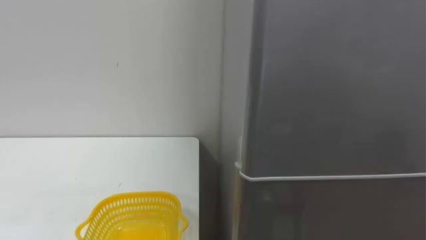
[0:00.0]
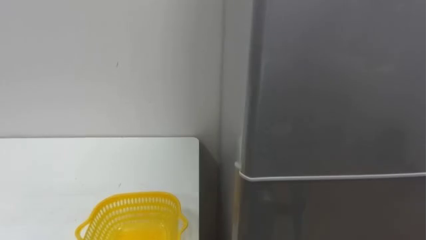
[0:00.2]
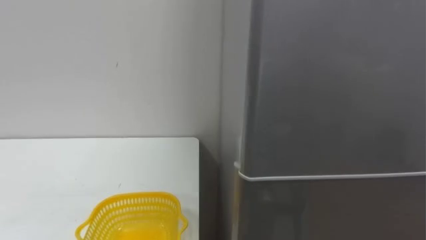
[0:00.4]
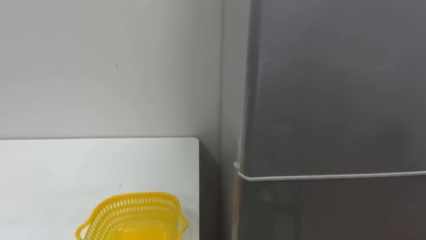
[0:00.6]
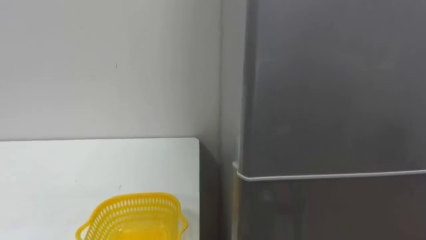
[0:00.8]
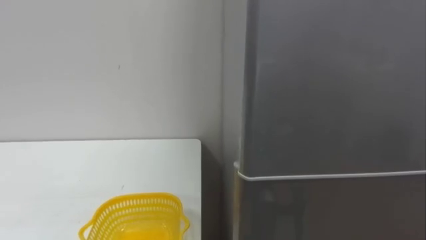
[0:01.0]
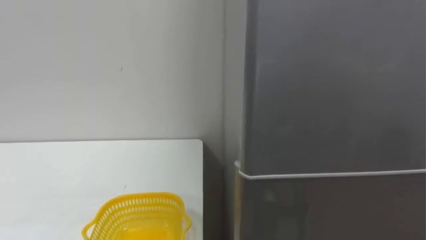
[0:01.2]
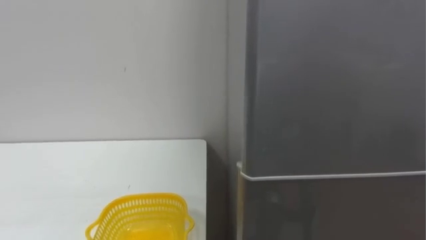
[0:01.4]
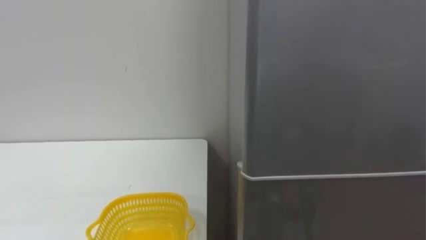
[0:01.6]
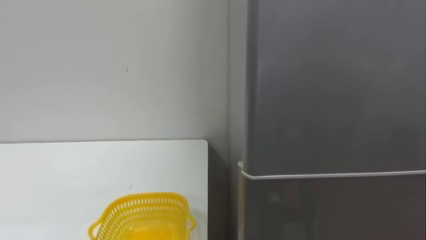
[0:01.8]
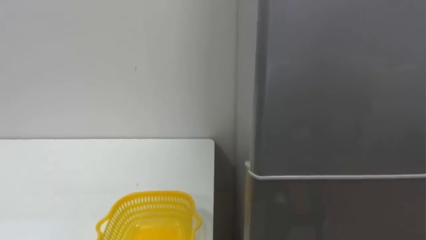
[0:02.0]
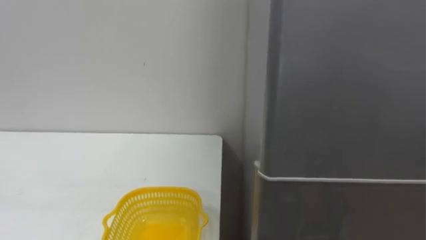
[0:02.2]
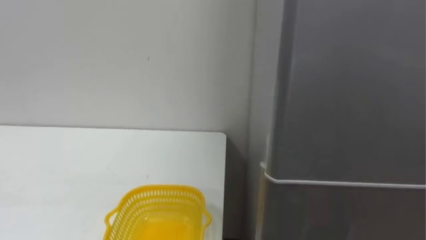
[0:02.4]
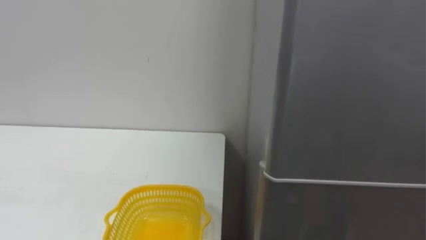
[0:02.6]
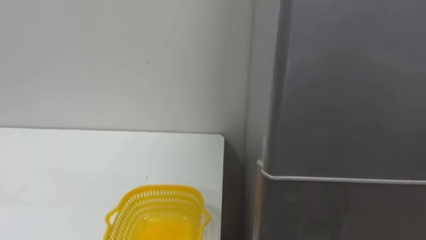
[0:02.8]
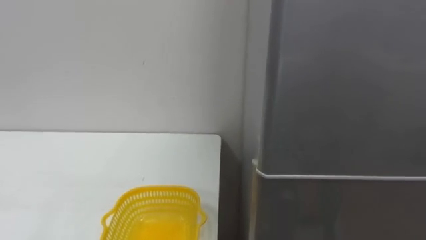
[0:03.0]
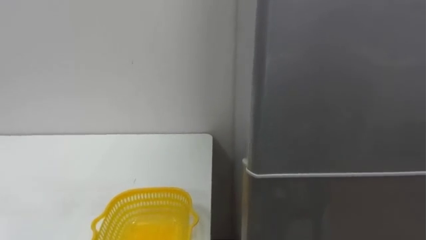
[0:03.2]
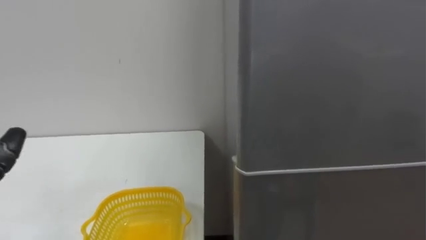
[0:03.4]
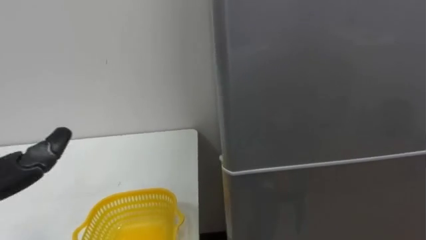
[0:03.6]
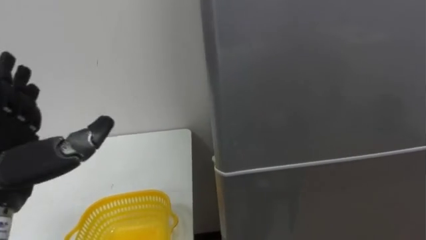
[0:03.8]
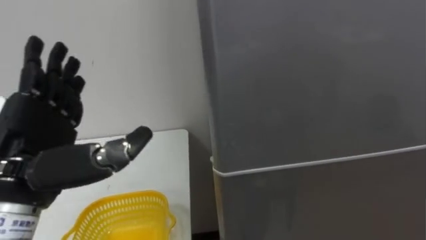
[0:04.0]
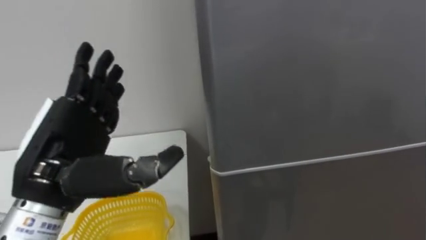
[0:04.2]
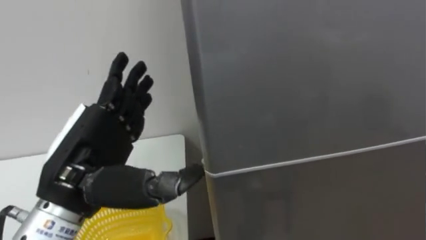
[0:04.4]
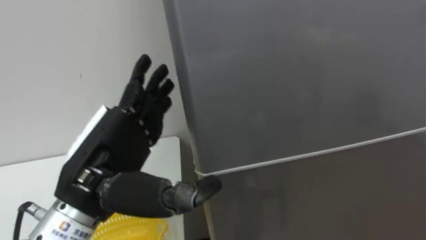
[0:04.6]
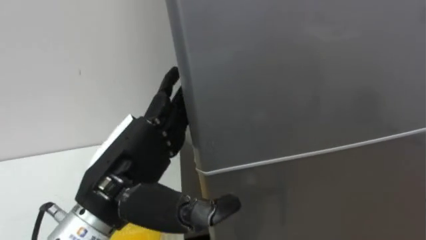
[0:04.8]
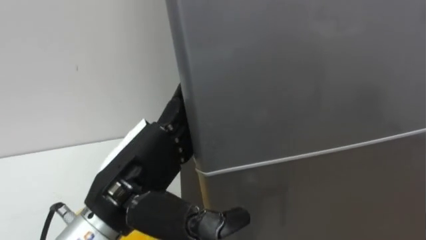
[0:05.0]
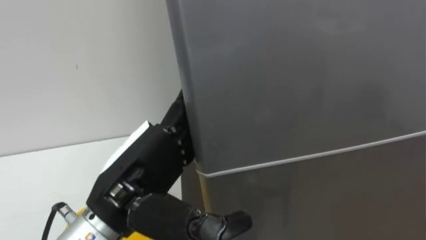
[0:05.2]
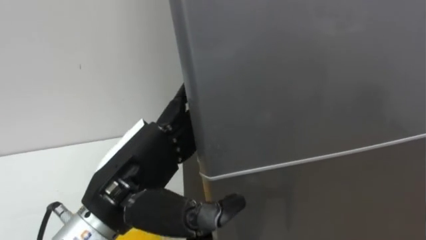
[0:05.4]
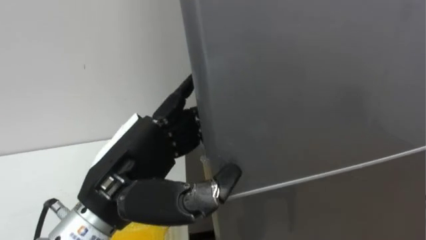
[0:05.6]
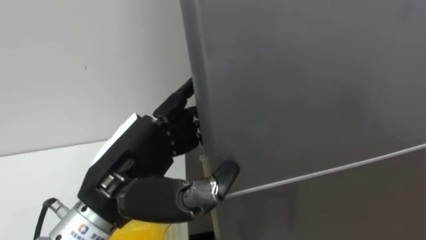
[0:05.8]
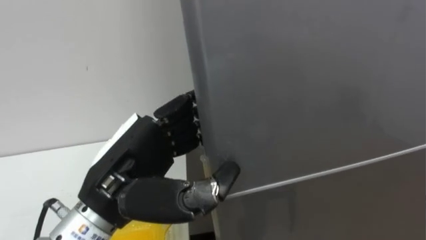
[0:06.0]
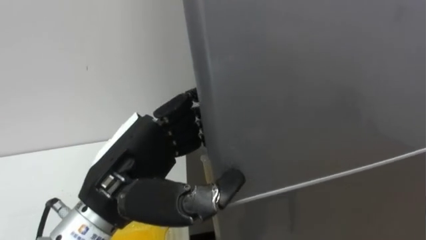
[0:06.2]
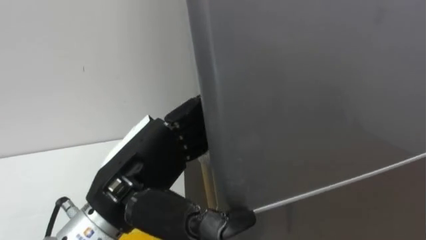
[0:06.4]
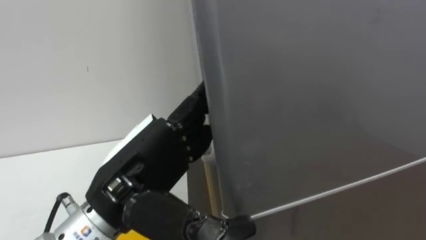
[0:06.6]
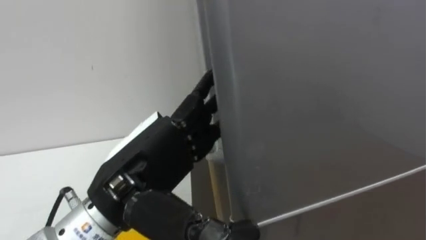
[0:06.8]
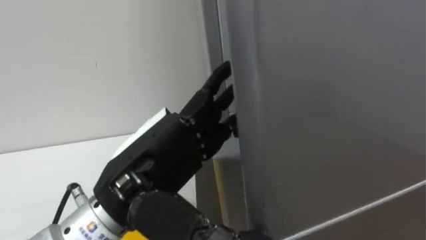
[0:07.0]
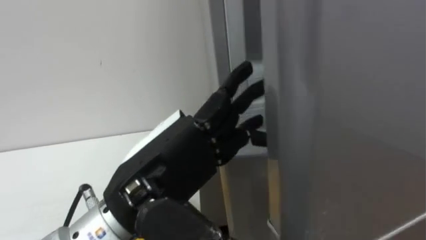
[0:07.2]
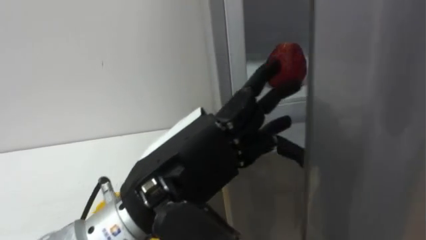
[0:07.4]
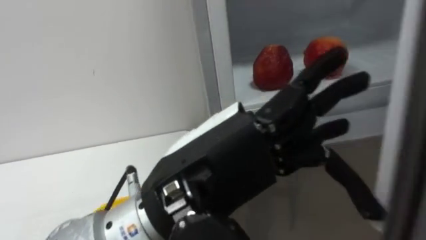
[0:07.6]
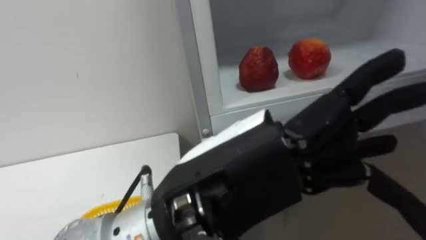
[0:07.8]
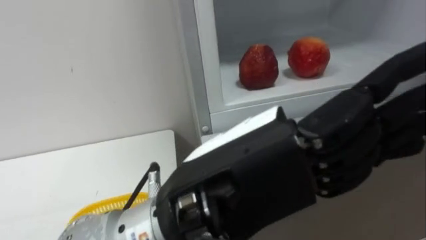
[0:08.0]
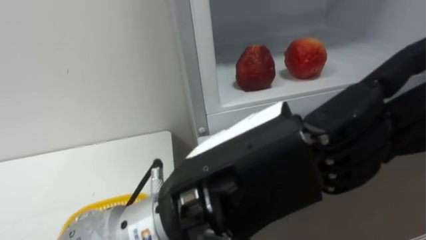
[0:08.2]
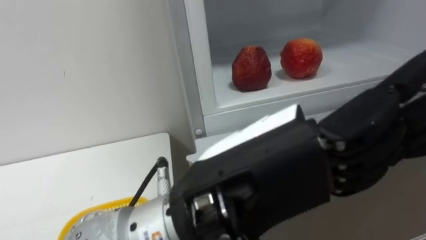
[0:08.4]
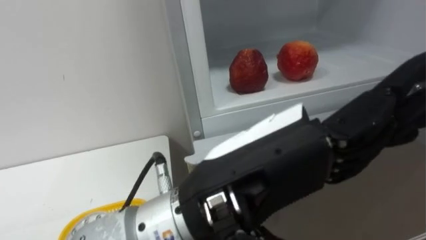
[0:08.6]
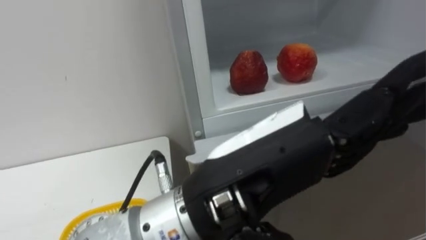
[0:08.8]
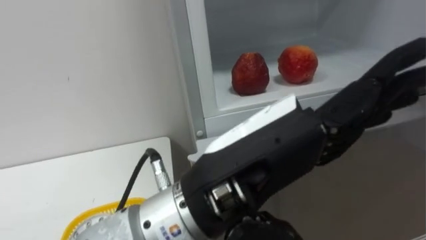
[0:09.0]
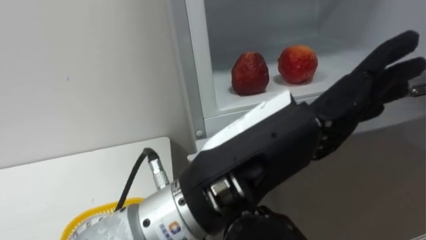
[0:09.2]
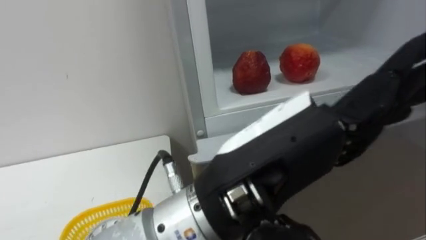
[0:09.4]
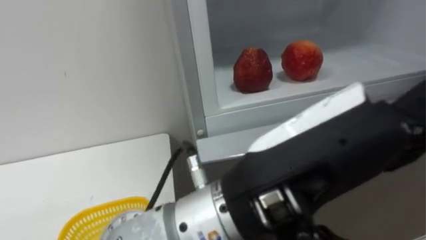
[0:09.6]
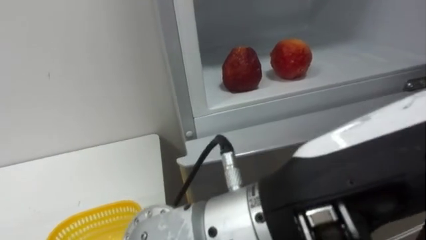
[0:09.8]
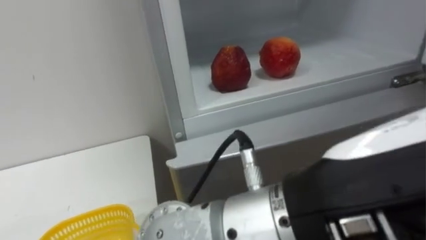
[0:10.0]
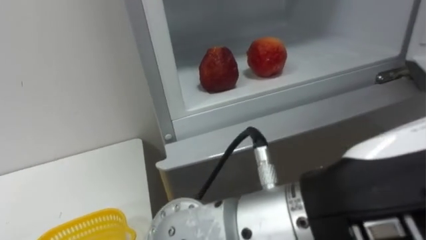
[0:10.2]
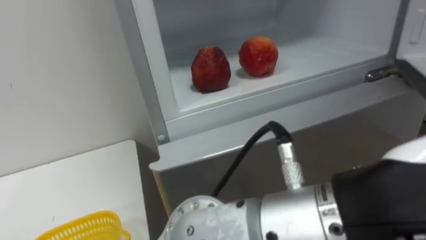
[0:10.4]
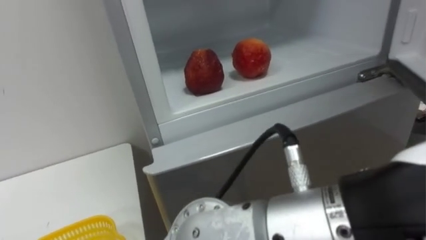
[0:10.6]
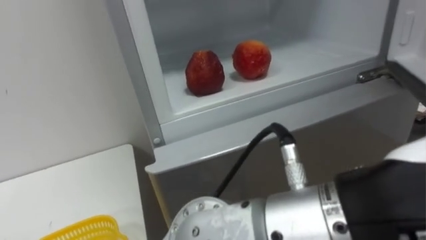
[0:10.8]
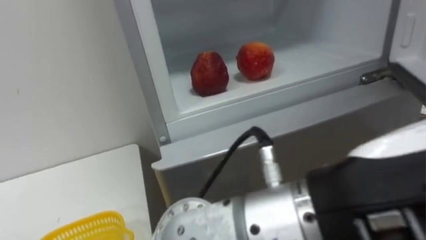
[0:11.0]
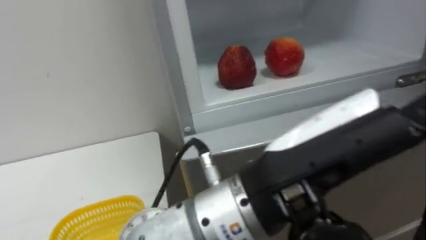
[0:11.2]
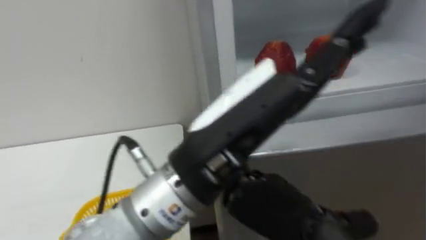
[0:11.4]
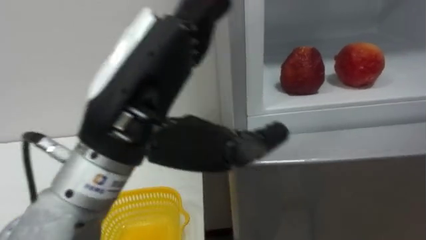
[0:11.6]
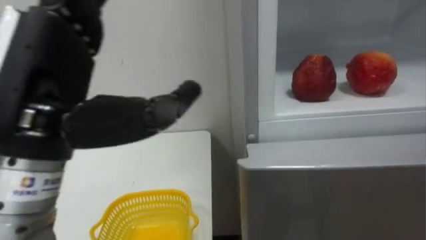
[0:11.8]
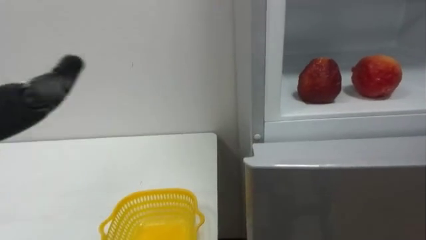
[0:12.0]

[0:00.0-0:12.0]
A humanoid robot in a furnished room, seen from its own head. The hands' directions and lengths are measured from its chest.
Task of the whole recording: Open the refrigerator door, take out the apple and the pomegranate, place them in the fruit basket on the left, and close the refrigerator door.
0:04.4 to 0:06.0: The left hand changes place by roughly 5 cm, and closes.
0:06.0 to 0:07.6: The left hand shifts about 10 cm to the right and backward, and opens its fingers.
0:09.0 to 0:10.4: The left hand goes roughly 10 cm backward, to the right and upward.

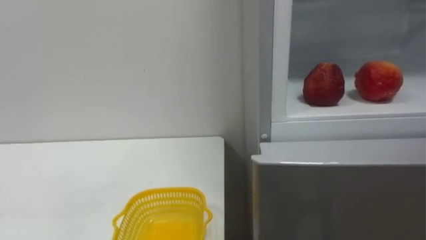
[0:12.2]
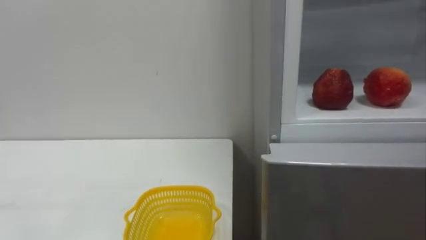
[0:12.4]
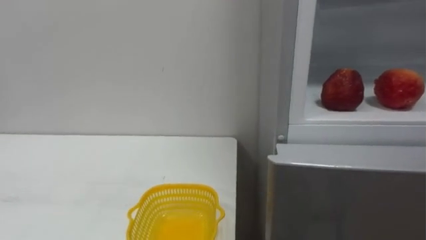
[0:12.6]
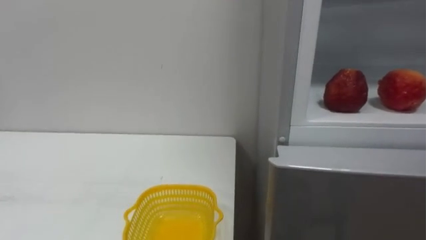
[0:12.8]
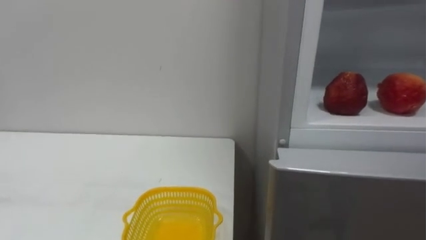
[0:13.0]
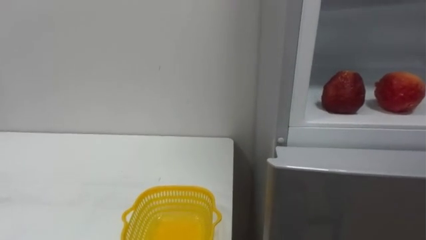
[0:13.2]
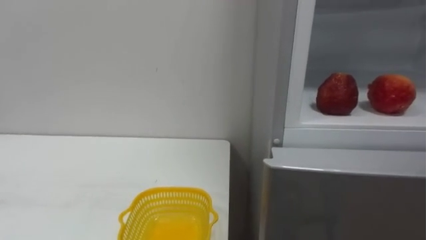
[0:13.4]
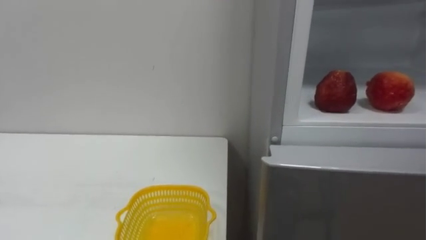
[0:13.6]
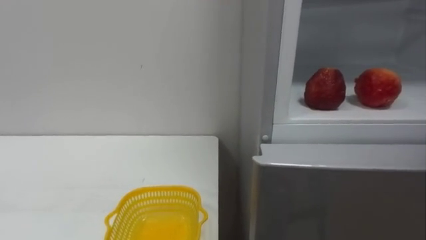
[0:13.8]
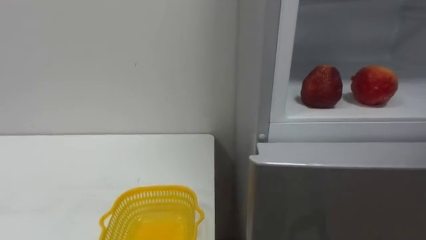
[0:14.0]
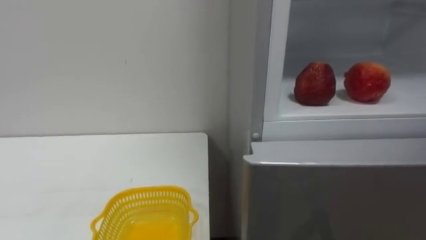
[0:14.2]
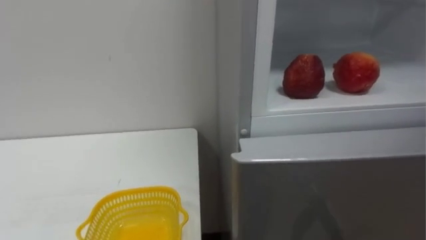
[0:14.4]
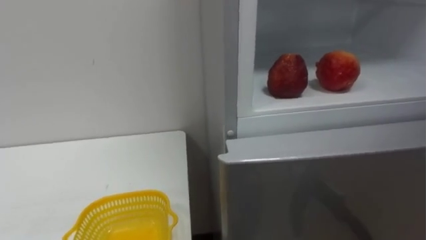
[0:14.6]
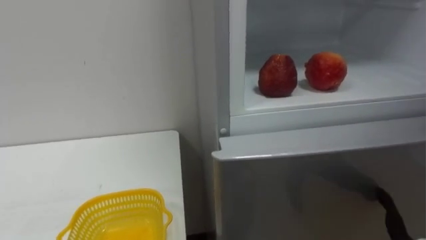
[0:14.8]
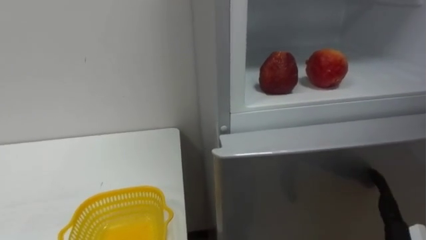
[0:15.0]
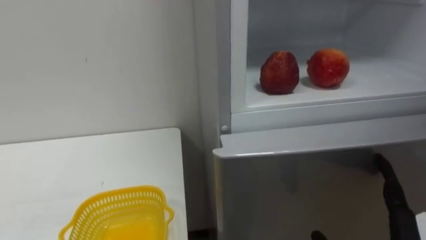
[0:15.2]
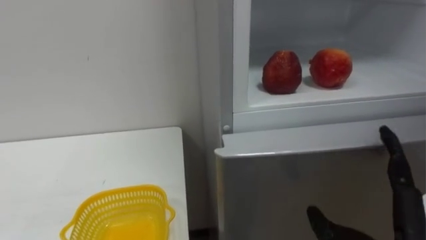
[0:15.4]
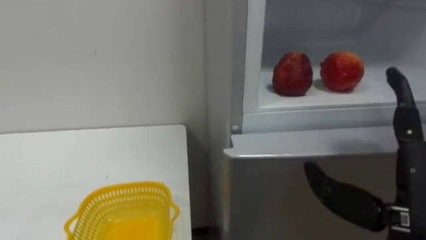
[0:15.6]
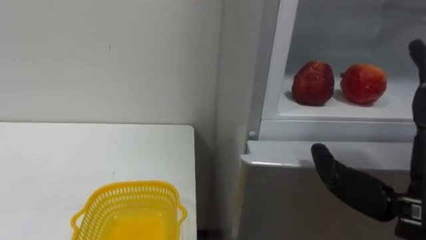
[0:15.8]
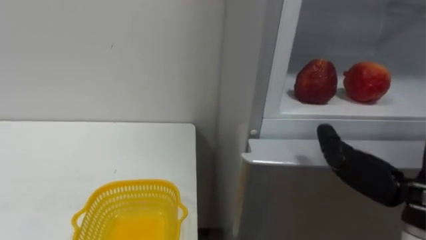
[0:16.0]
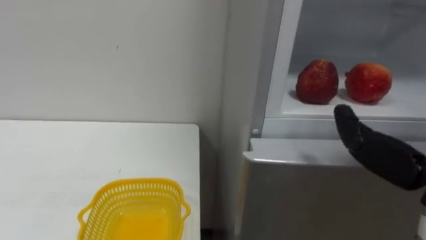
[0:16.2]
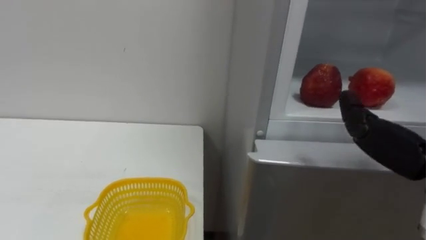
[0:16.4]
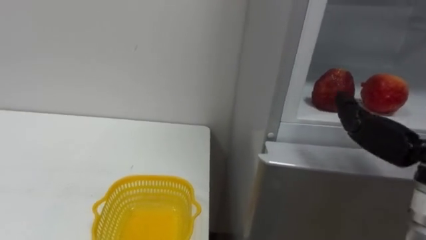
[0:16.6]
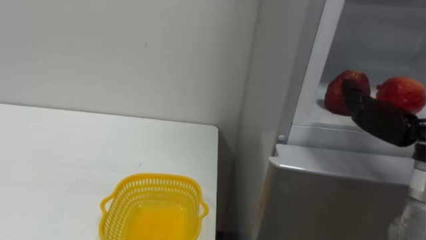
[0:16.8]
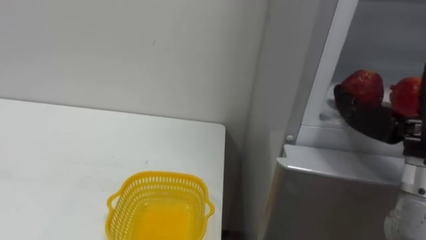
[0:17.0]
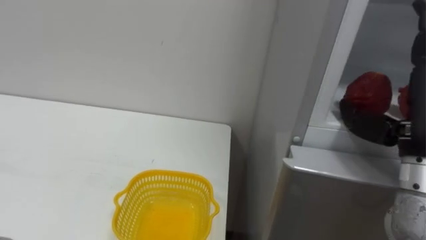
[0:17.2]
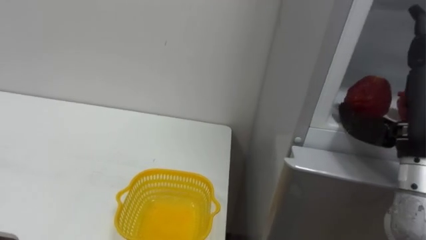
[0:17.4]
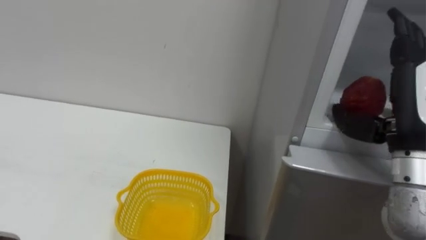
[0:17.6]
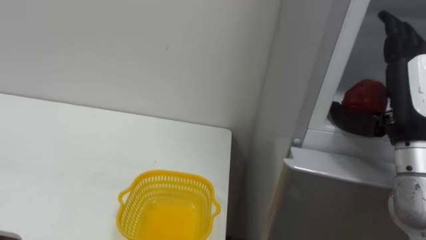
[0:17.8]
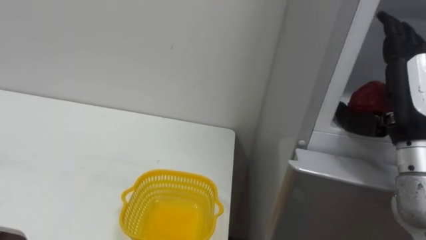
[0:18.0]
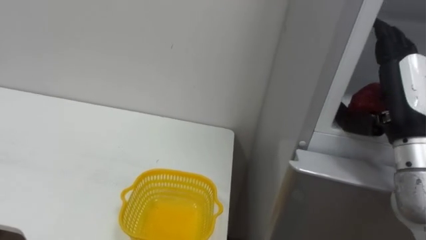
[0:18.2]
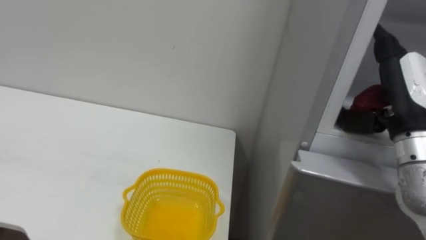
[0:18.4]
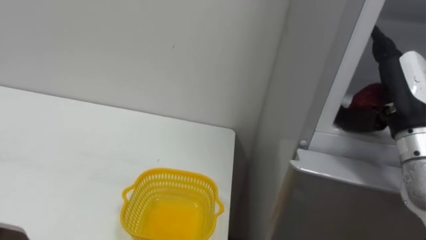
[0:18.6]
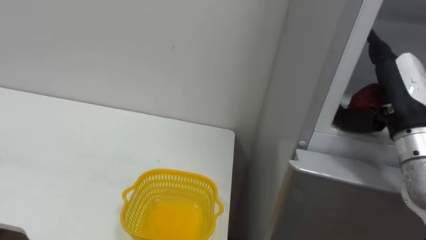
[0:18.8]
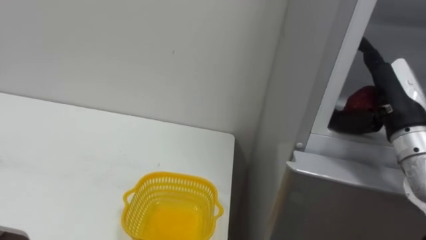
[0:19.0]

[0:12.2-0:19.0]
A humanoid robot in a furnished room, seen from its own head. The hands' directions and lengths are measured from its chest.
Task of the whole recording: Open the refrigerator door, take out the apple and the pomegranate, place them in the fruit basket on the left, and close the refrigerator door.
0:17.6 to 0:19.0: The right hand travels forward by about 5 cm.
